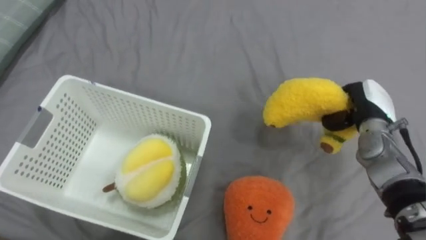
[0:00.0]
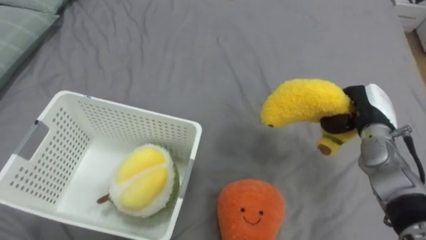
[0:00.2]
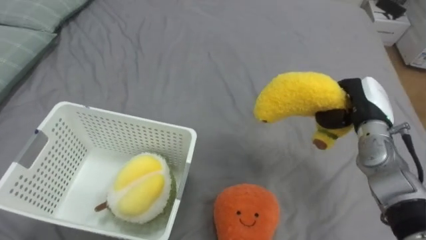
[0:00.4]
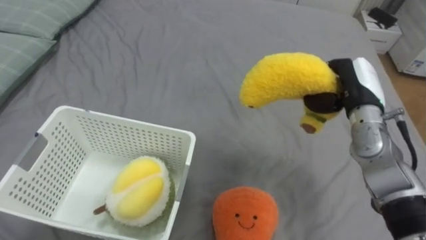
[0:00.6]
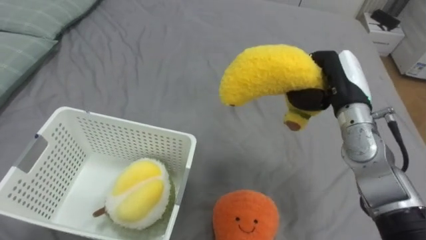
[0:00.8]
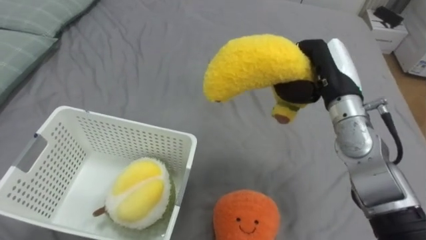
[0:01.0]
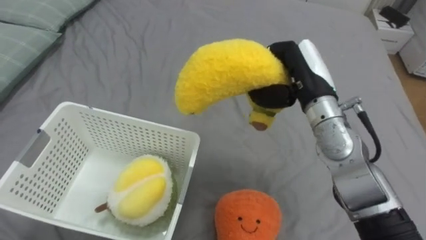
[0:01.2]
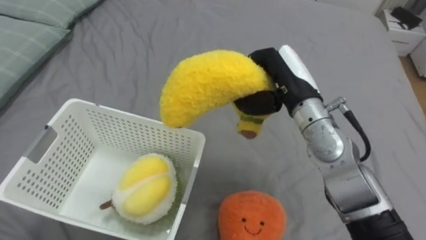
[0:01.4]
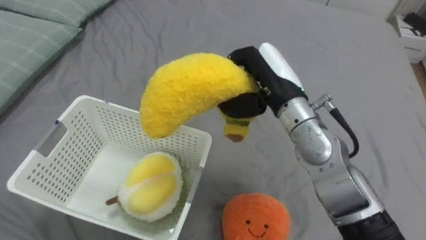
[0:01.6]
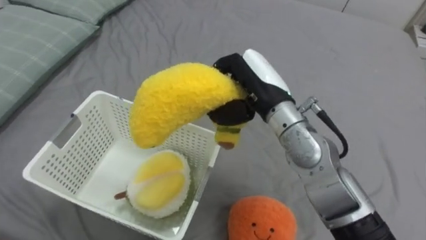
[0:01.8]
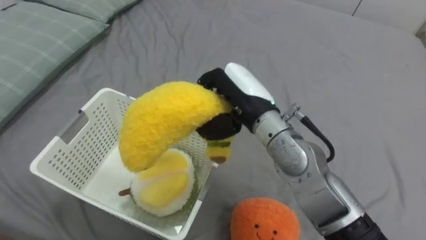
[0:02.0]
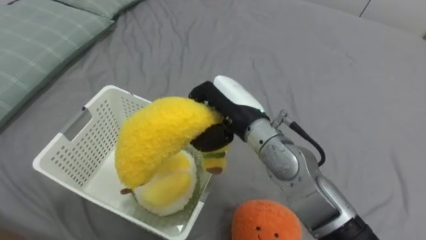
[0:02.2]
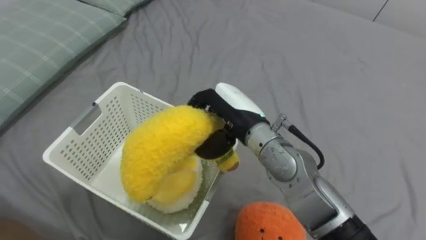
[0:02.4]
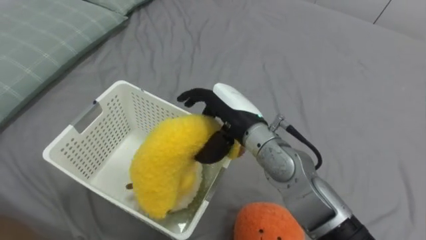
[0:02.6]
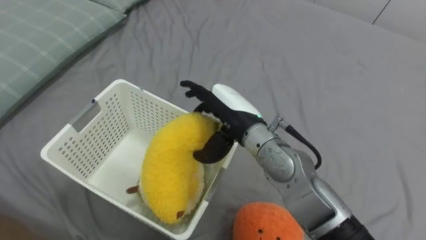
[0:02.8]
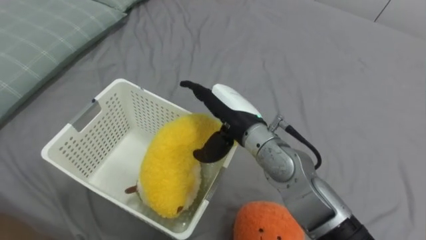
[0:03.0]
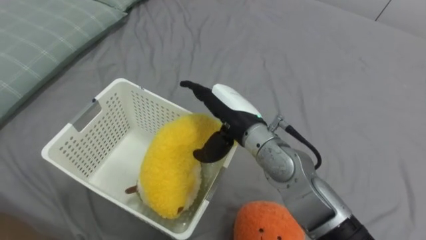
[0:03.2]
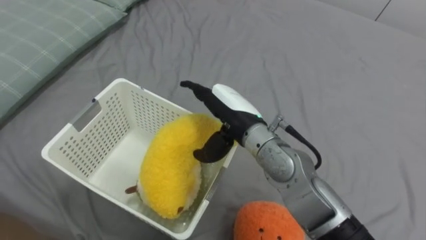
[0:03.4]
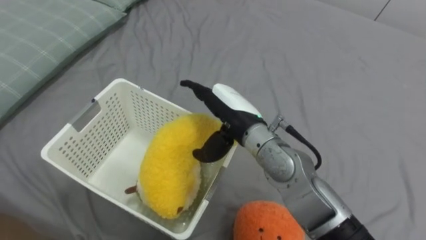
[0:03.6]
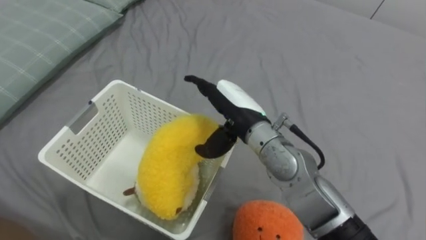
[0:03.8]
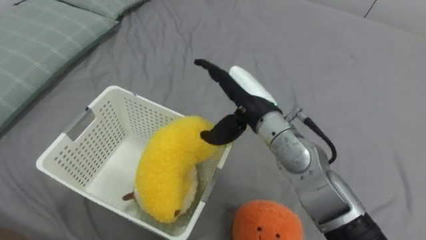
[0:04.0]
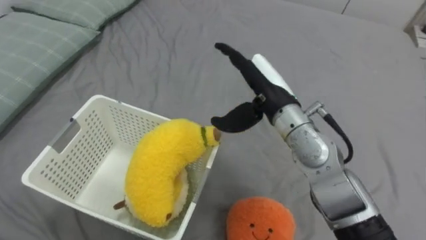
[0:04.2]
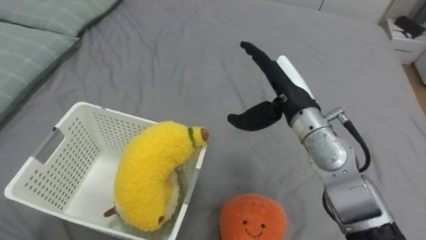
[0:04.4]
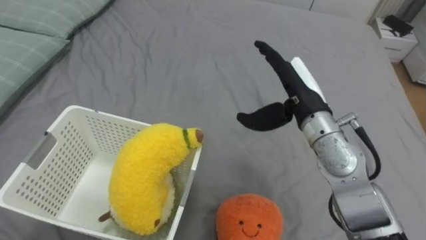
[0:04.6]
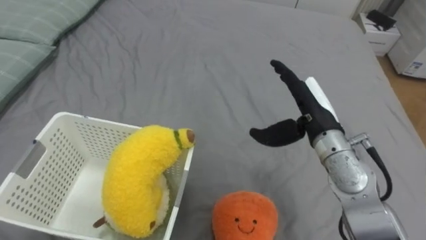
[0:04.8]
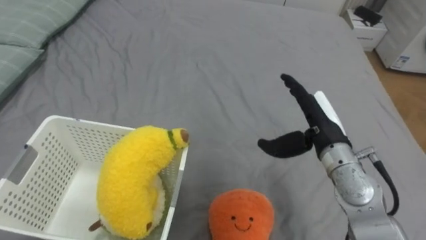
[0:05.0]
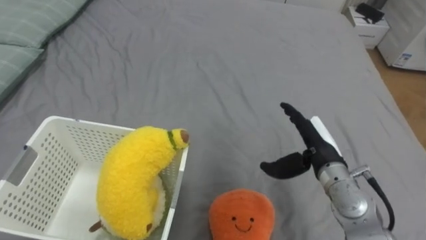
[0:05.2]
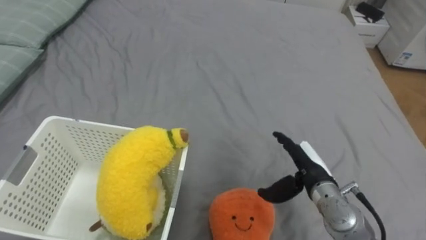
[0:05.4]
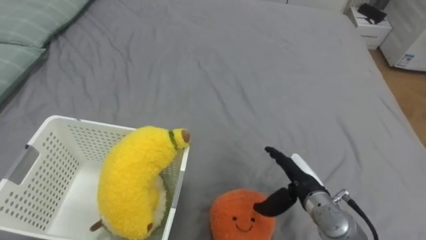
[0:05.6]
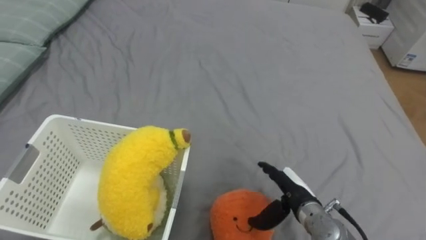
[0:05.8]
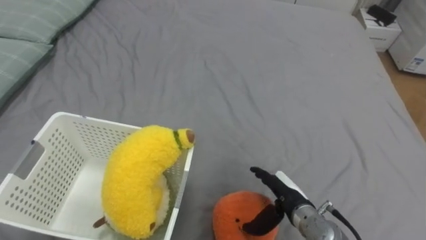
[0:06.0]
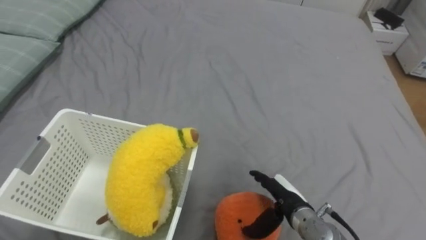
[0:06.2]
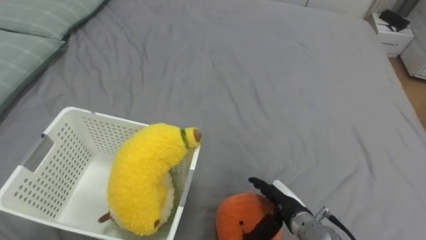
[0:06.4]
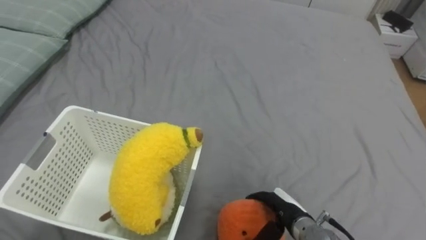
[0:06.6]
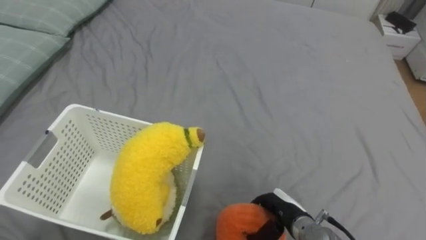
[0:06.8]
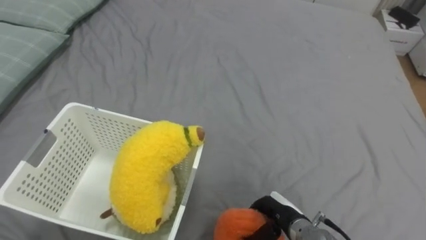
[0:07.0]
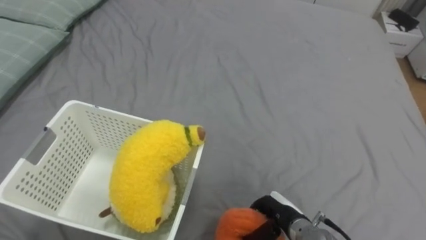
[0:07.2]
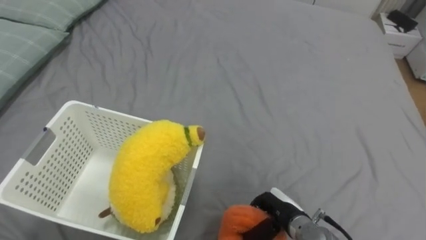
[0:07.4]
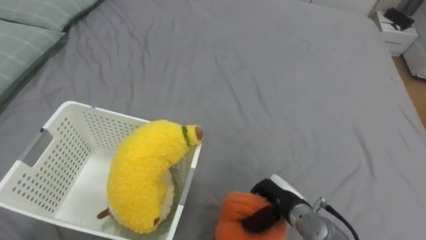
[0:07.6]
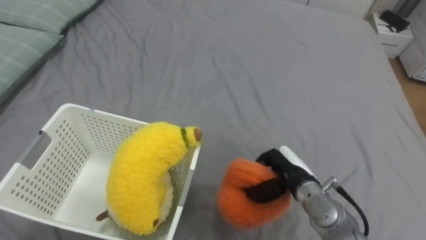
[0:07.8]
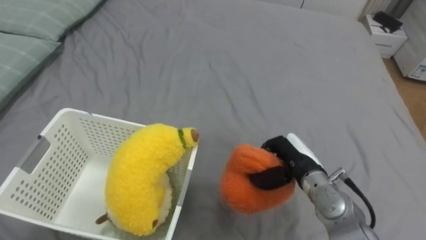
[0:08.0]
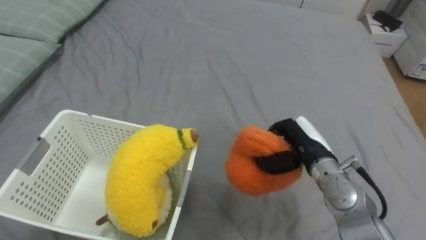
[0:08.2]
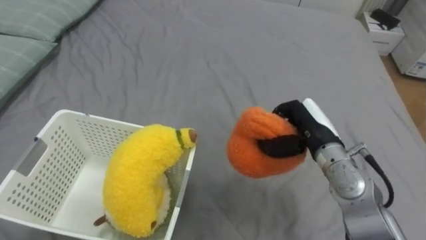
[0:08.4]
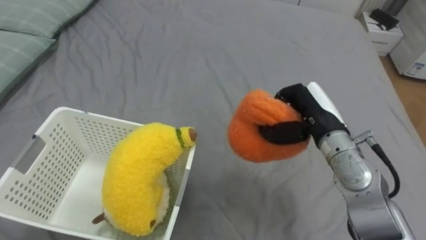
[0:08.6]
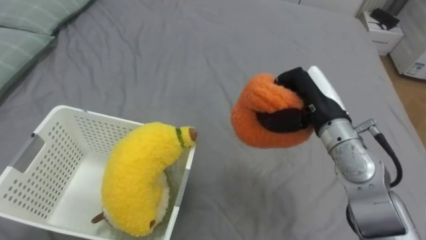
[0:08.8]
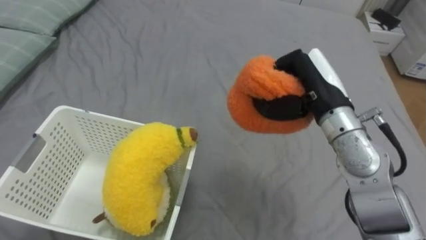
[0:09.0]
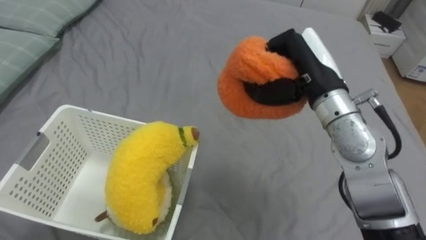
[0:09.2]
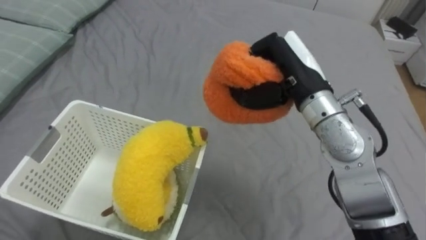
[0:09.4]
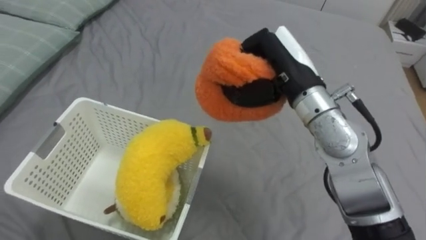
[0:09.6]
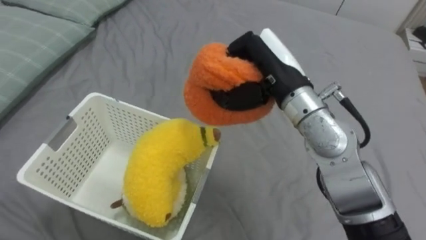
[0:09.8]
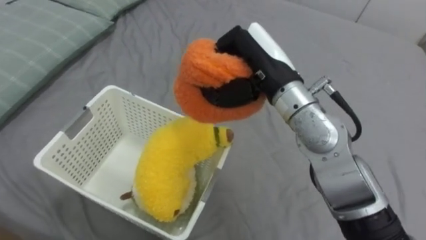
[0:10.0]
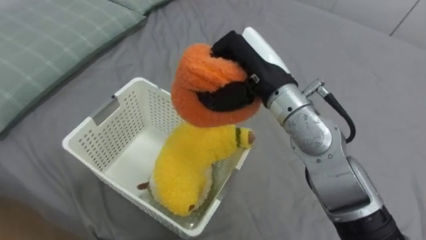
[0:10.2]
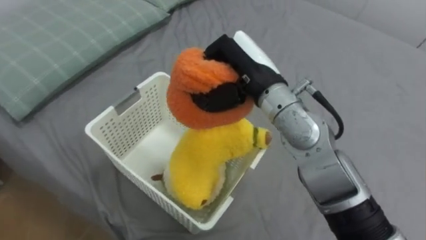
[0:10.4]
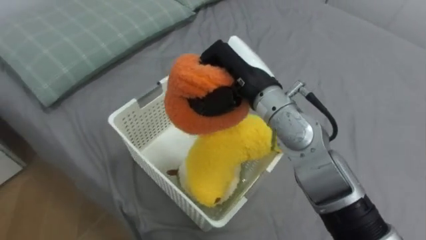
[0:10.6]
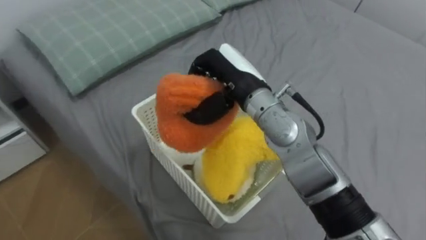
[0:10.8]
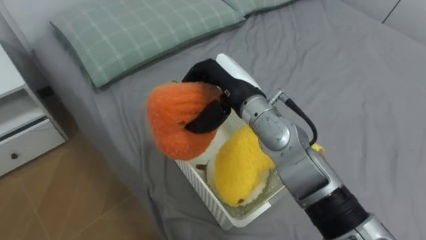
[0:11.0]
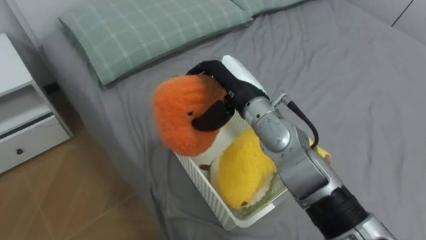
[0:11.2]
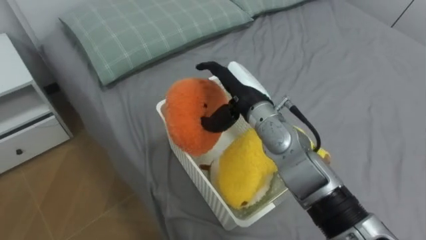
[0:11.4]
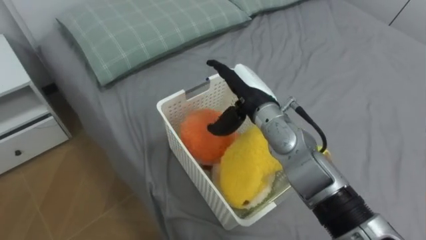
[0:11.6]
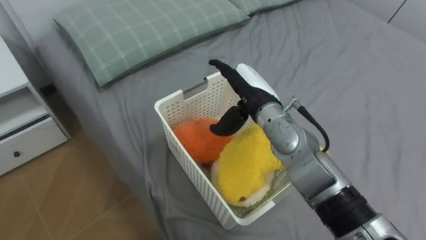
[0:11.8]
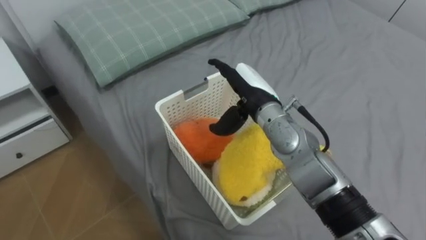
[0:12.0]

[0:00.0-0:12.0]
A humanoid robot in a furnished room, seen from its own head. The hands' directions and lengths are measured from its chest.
Task of the whole recording: Put the toys on the bed into the basket on the left.
0:00.0 to 0:01.6: The right hand moves to the left and upward, roughly 25 cm.
0:01.6 to 0:03.0: The right hand moves to the left and downward, roughly 10 cm, and opens up.
0:03.0 to 0:04.4: The right hand moves to the right, some 10 cm.
0:04.4 to 0:06.0: The right hand moves downward and backward, about 25 cm.
0:06.0 to 0:07.6: The right hand closes its fingers.
0:07.6 to 0:09.0: The right hand heads upward, covering approximately 25 cm.
0:09.0 to 0:10.4: The right hand travels to the left by some 10 cm.
0:10.4 to 0:12.0: The right hand is displaced downward by approximately 10 cm, and opens its fingers.

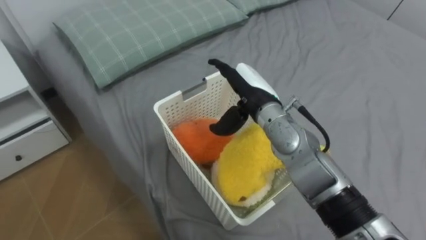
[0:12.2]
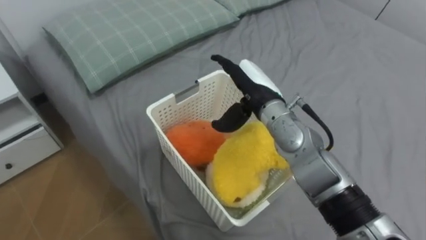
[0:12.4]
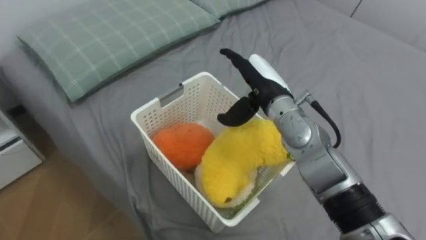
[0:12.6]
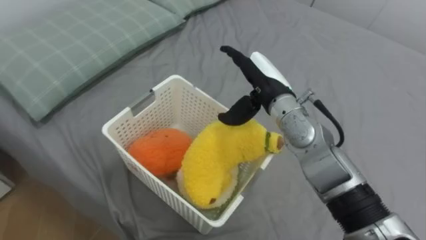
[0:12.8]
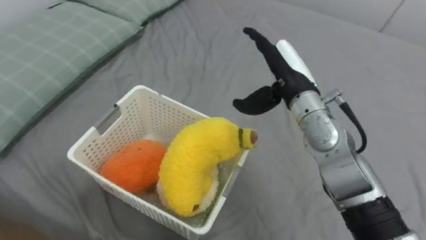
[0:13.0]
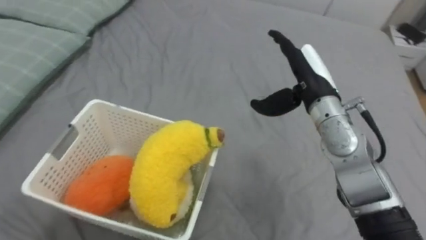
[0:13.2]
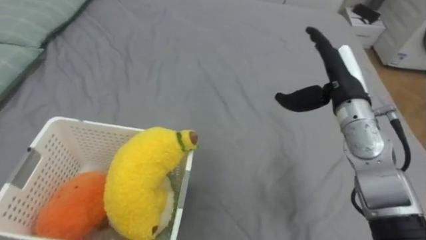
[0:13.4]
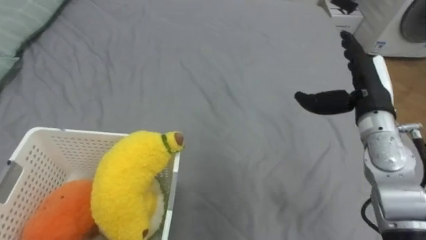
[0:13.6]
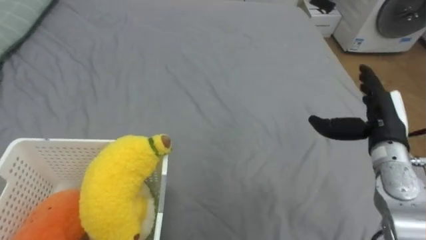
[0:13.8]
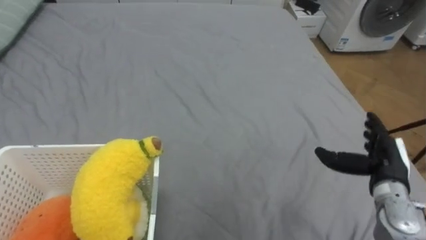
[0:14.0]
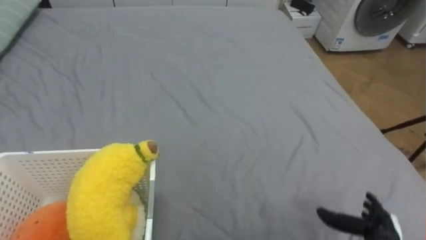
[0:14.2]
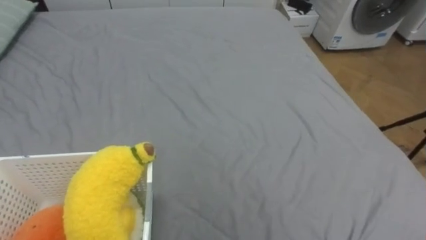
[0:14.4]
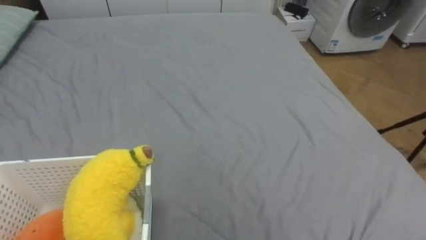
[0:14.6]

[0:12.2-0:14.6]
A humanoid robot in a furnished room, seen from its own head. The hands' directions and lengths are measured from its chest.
Task of the whole recording: Put the toys on the bed into the basket on the left.
0:12.2 to 0:13.4: The right hand shifts some 15 cm to the right.

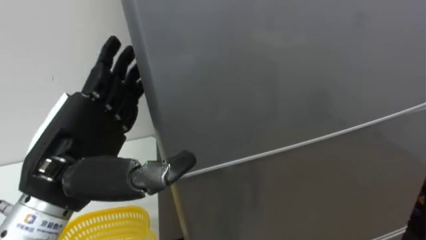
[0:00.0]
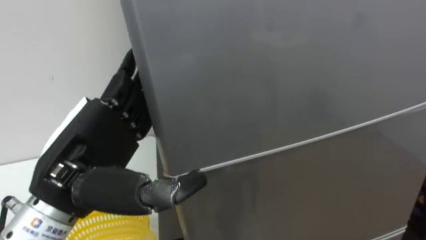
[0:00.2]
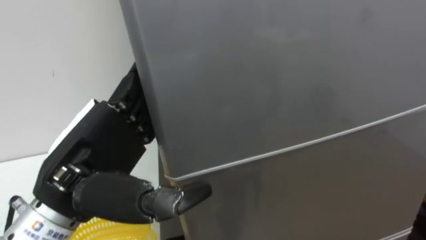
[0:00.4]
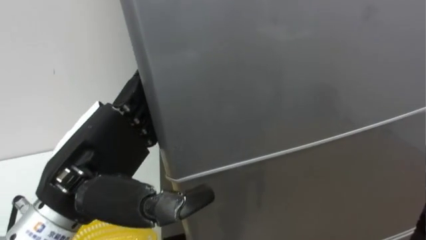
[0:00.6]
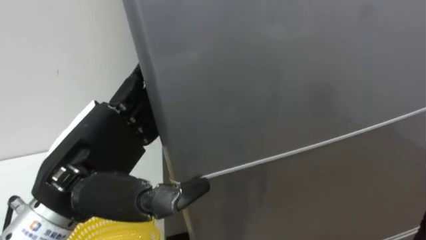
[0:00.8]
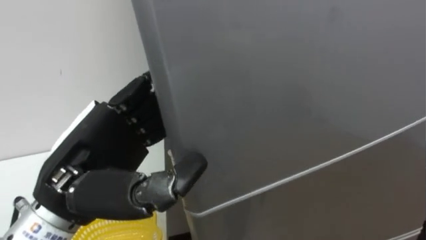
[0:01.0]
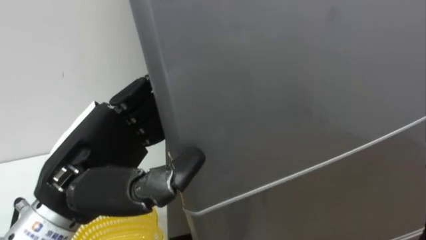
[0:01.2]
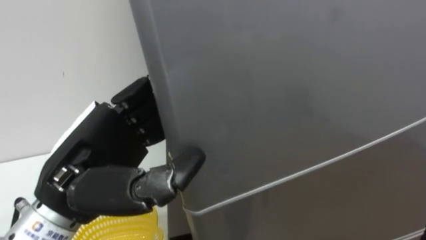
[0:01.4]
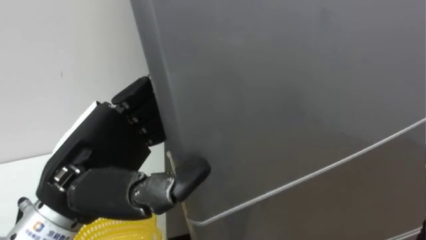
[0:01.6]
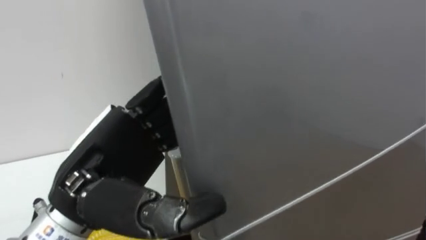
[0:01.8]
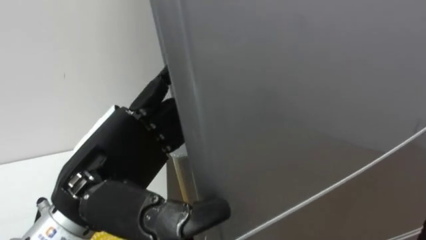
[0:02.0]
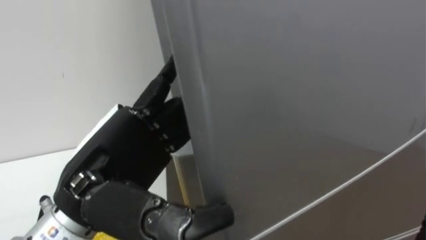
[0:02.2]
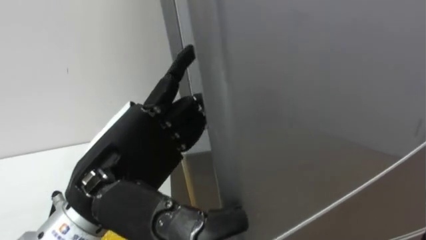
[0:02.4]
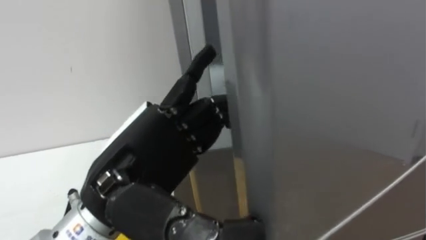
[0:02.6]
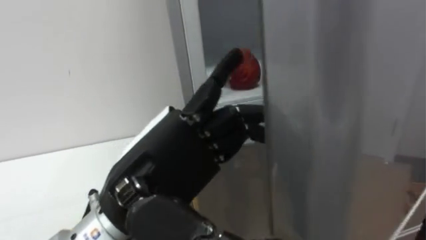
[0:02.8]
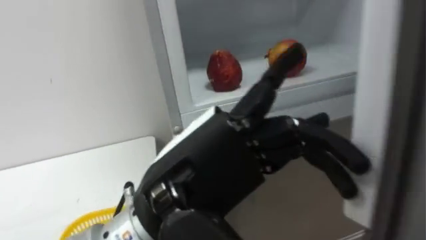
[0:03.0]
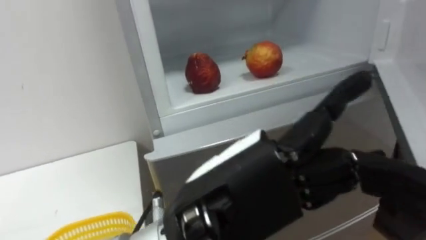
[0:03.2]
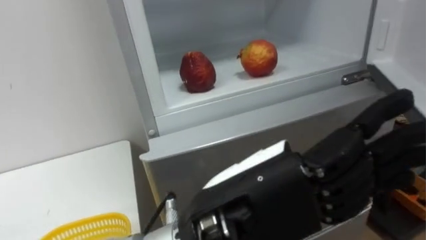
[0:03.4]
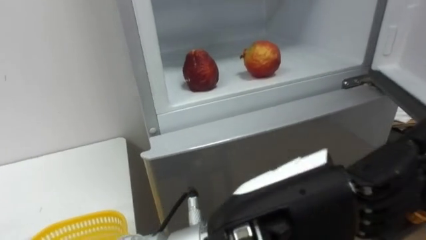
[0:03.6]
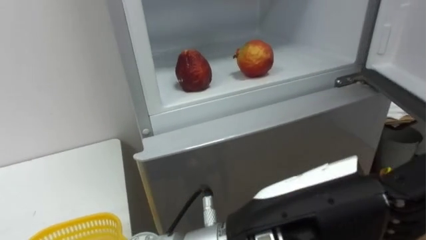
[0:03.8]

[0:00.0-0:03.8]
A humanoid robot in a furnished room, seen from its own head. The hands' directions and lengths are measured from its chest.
Task of the whole recording: Open the refrigerator door, take out the apple and the pomegranate, place them in the fruit basket on the left, and close the refrigerator door.
0:00.0 to 0:01.2: The left hand closes.
0:01.2 to 0:02.6: The left hand travels to the right by some 5 cm, and opens up.
0:02.6 to 0:03.8: The left hand travels to the right and backward by about 15 cm.
